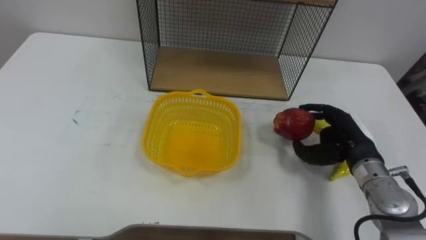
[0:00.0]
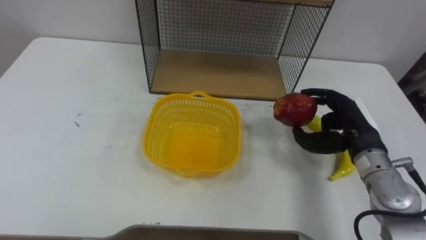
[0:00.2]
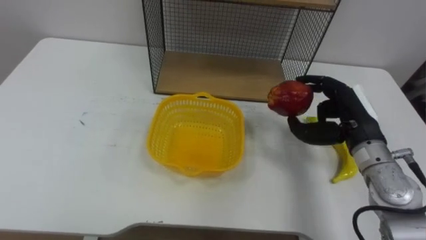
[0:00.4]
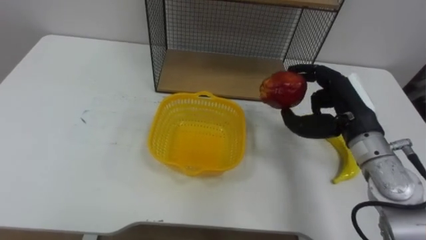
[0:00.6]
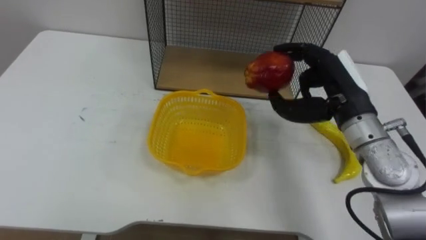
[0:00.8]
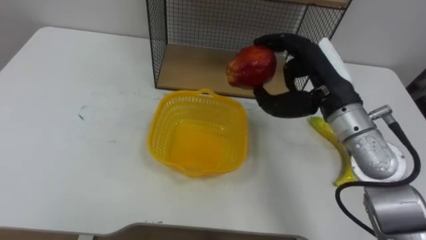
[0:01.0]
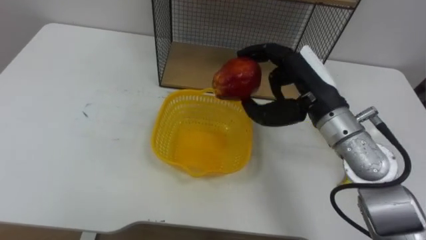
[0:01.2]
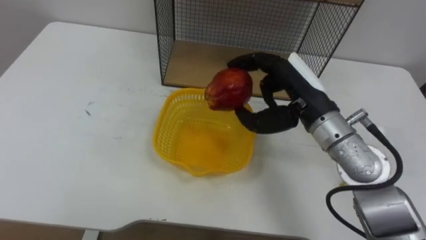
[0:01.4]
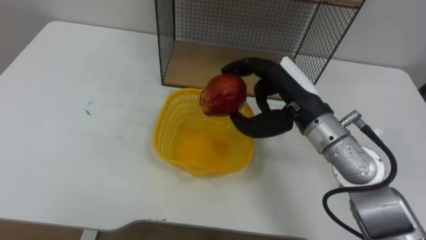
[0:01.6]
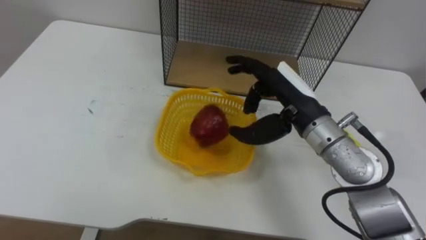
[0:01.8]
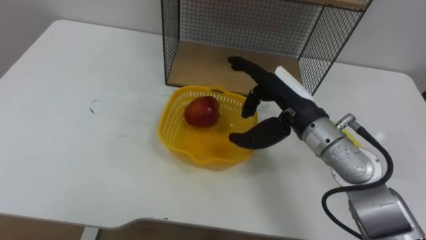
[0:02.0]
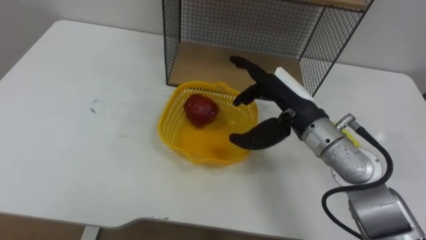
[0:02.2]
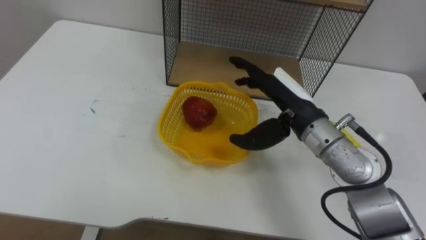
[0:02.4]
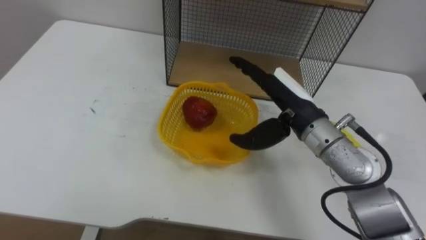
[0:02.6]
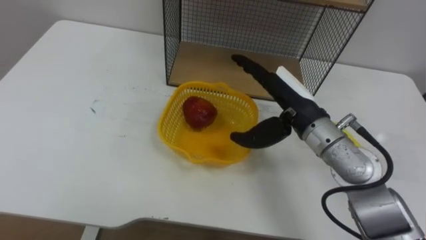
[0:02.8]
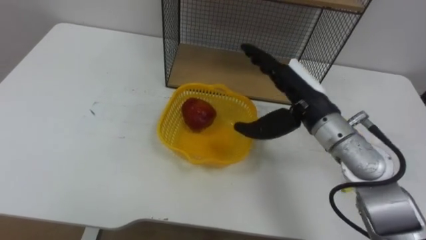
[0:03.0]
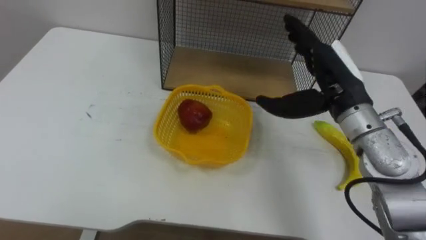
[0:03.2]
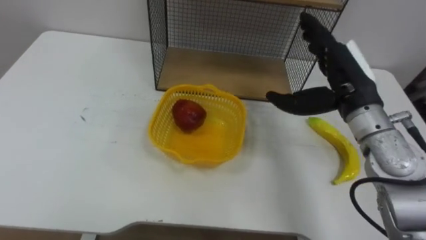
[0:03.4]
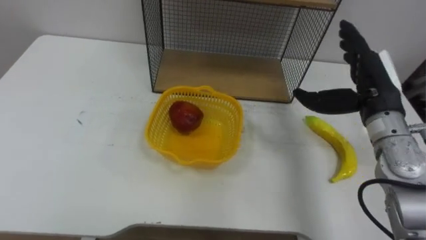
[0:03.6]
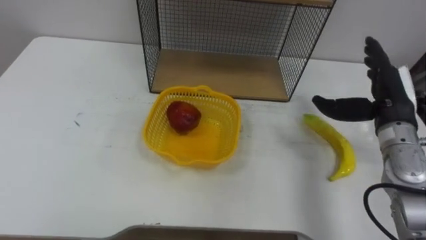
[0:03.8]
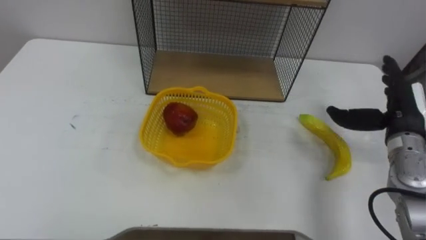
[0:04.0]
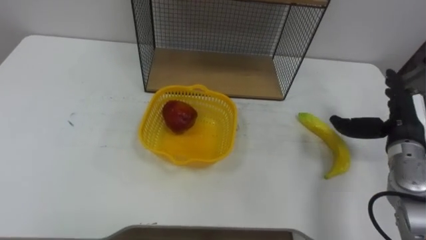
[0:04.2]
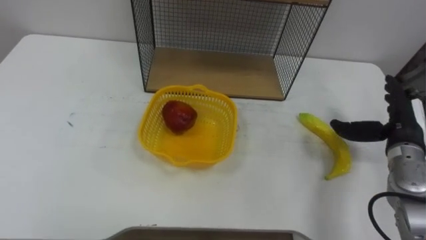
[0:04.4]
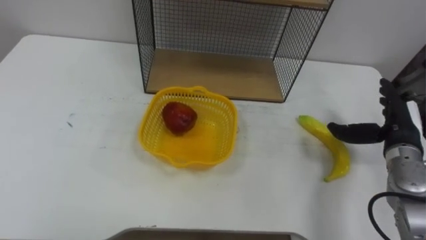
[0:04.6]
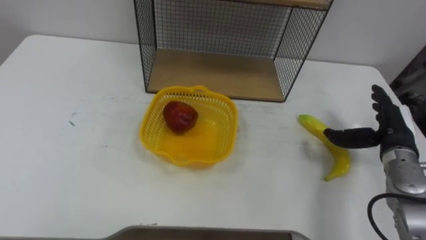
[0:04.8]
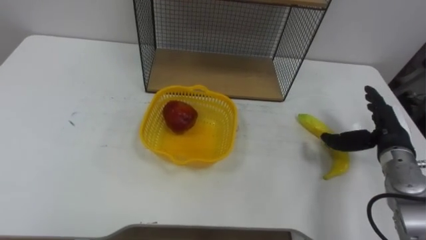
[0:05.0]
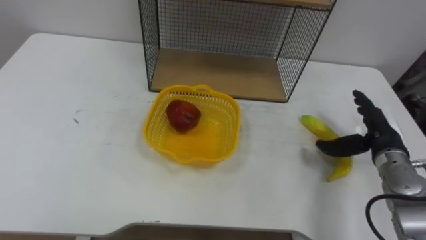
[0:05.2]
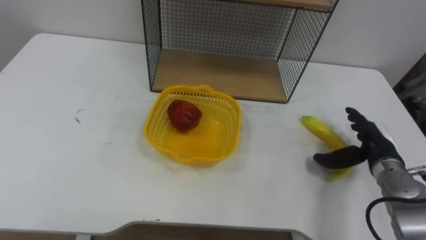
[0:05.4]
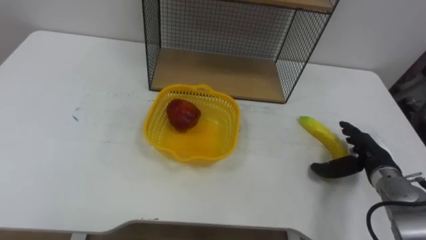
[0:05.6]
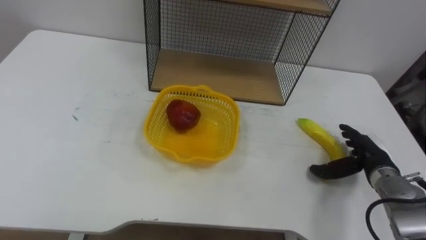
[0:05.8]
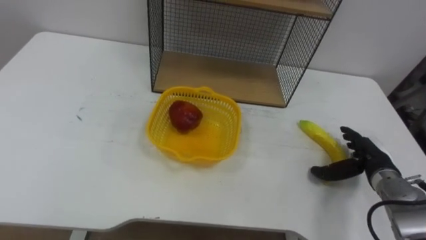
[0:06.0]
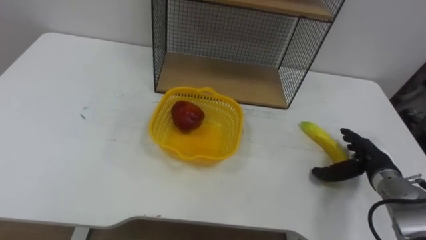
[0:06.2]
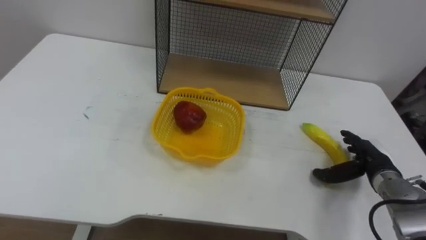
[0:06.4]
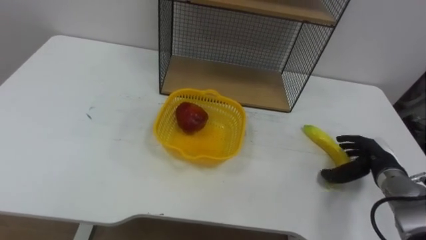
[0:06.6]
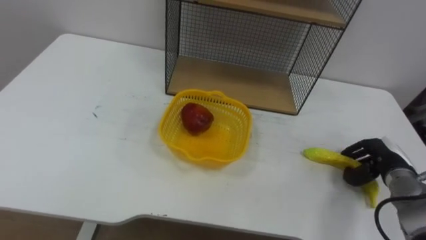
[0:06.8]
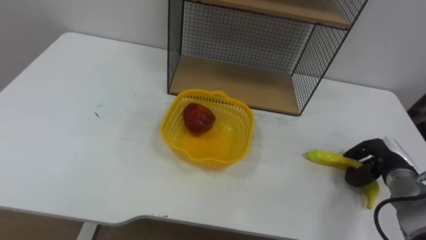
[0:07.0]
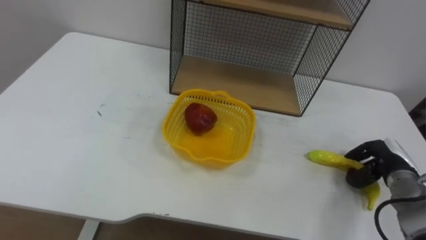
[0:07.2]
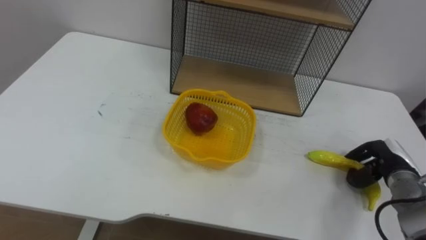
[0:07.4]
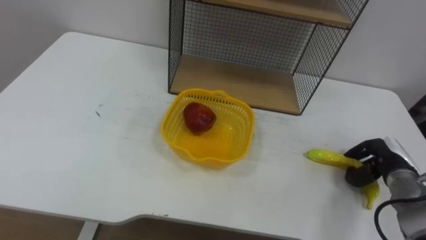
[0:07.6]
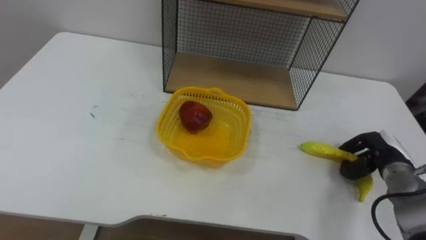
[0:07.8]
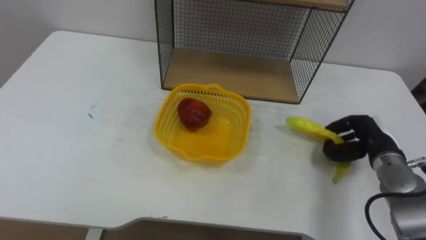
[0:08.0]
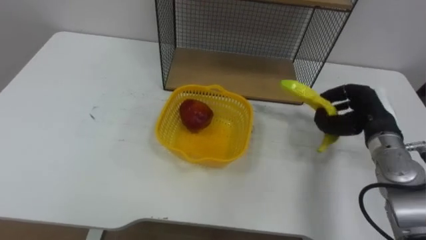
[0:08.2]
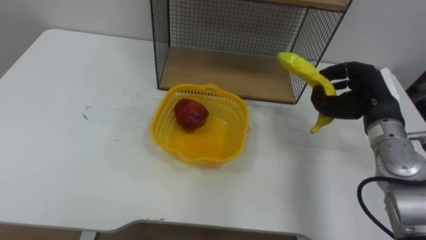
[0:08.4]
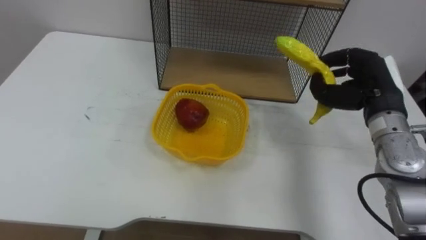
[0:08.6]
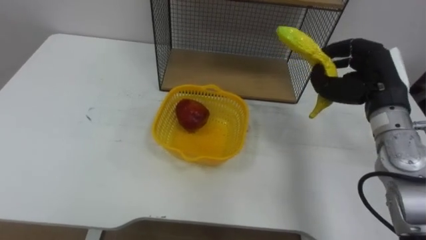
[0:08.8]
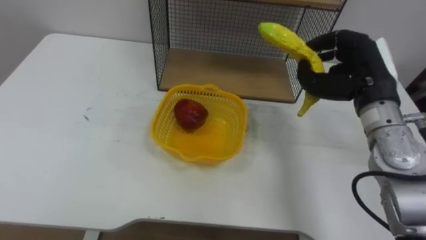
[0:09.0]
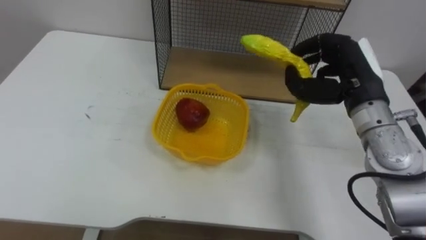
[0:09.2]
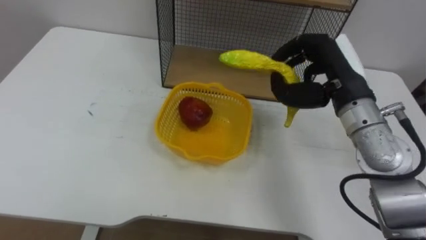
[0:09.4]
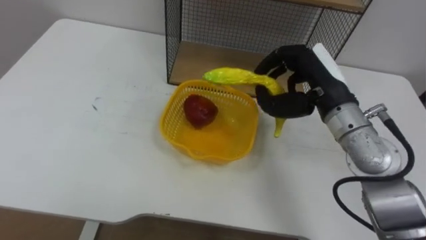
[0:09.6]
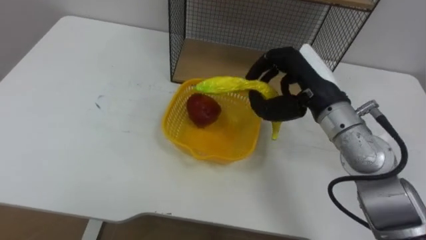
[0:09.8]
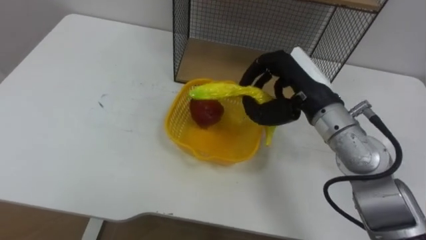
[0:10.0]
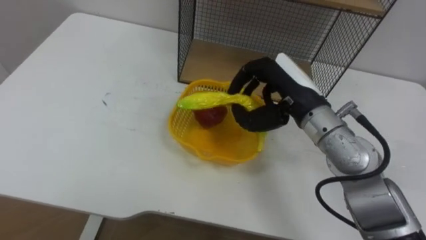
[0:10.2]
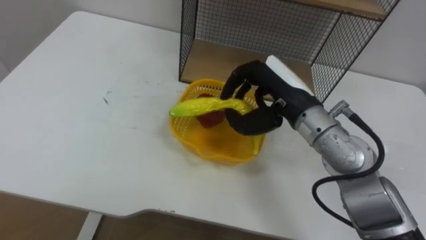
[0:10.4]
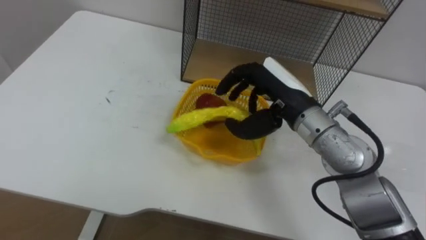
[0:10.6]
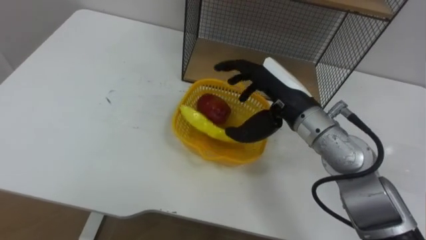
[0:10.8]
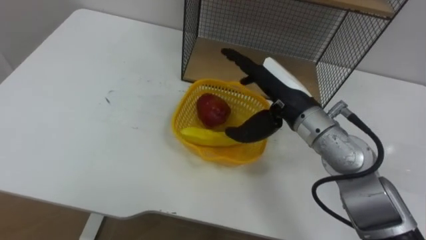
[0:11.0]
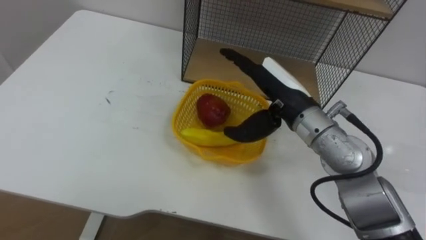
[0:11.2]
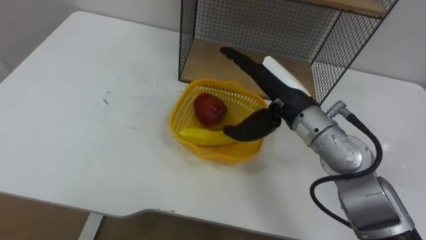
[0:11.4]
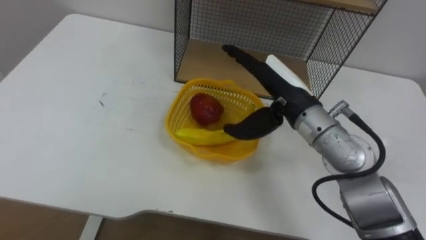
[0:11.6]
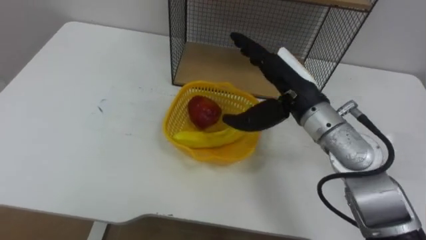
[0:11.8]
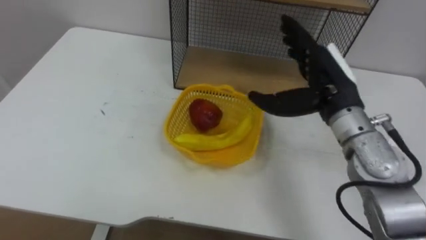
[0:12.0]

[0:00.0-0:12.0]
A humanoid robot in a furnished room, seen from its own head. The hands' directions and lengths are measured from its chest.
Task of the whole recording: Put the fruit on the table into the basket, then place the basket on the shelf.
0:00.0 to 0:01.6: The right hand moves to the left and upward, some 15 cm.
0:01.6 to 0:03.0: The right hand opens.
0:03.0 to 0:04.4: The right hand is displaced to the right and downward by about 20 cm.
0:04.4 to 0:06.0: The right hand travels downward by roughly 10 cm.
0:06.0 to 0:07.6: The right hand closes its fingers.
0:07.6 to 0:09.0: The right hand moves upward and to the left, some 20 cm.
0:09.0 to 0:10.4: The right hand is displaced to the left by roughly 15 cm.
0:10.4 to 0:12.0: The right hand heads to the right, covering roughly 5 cm, and opens its fingers.

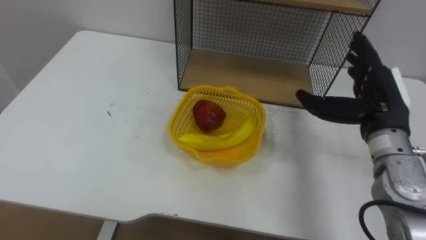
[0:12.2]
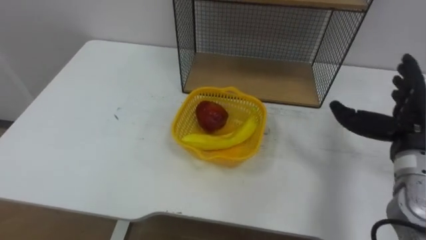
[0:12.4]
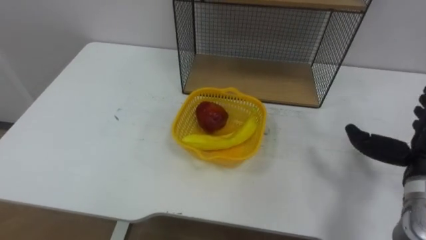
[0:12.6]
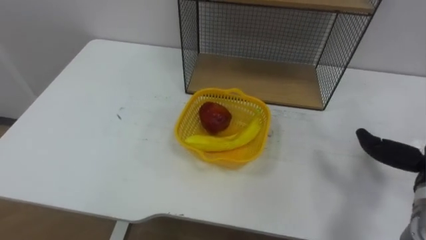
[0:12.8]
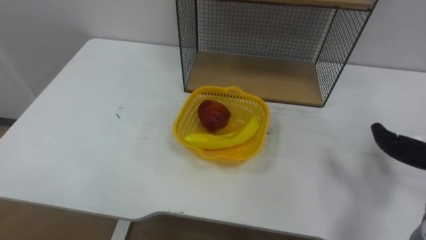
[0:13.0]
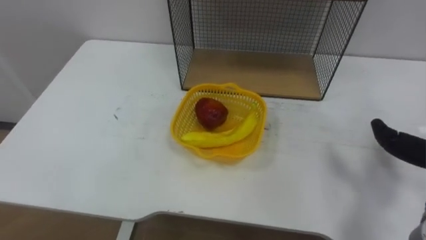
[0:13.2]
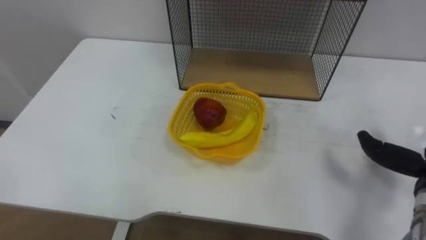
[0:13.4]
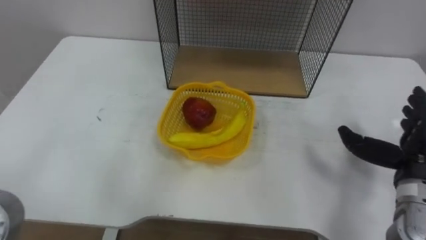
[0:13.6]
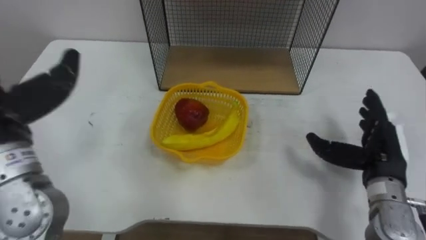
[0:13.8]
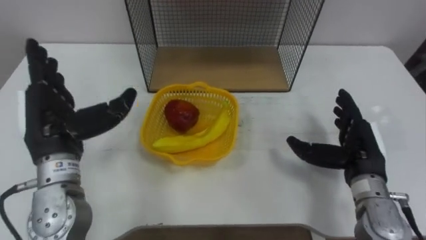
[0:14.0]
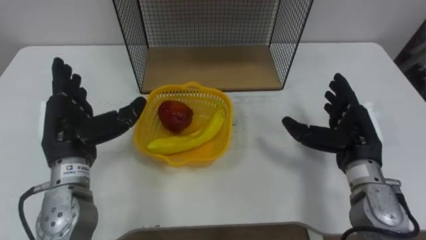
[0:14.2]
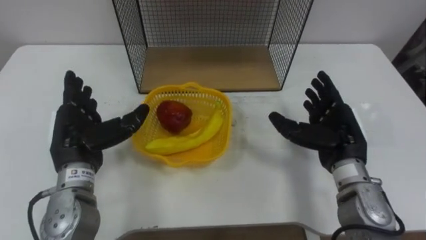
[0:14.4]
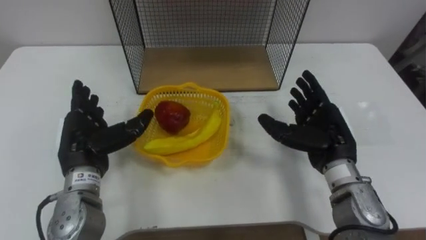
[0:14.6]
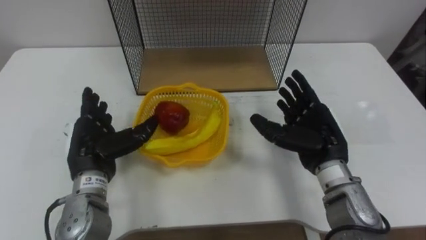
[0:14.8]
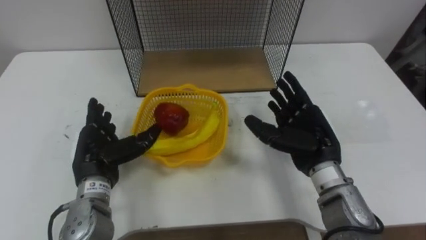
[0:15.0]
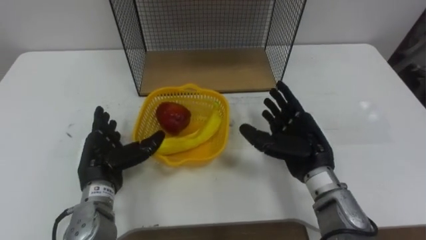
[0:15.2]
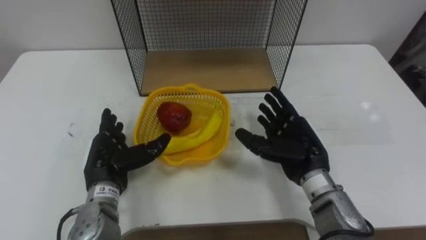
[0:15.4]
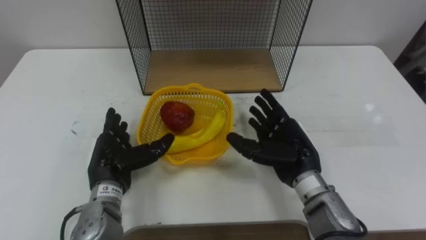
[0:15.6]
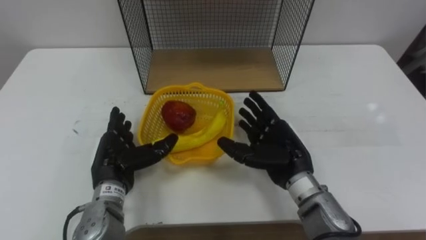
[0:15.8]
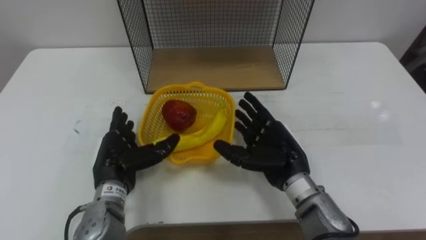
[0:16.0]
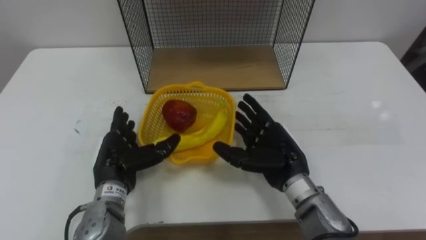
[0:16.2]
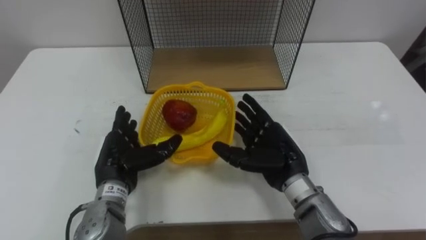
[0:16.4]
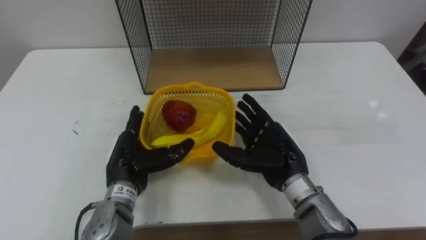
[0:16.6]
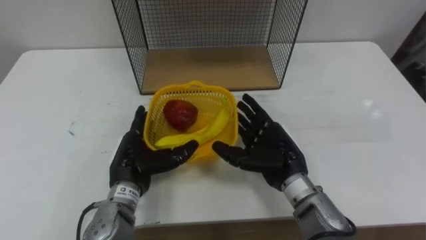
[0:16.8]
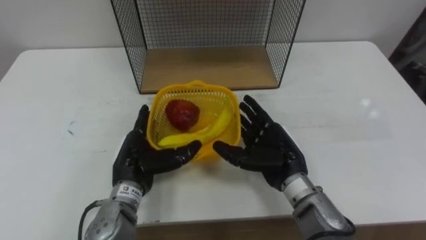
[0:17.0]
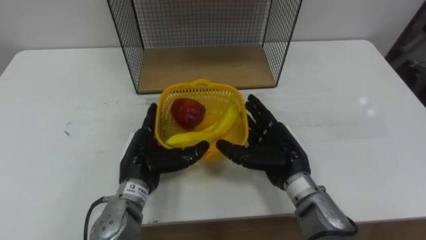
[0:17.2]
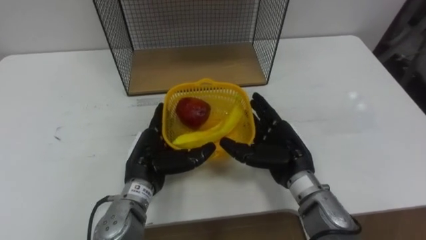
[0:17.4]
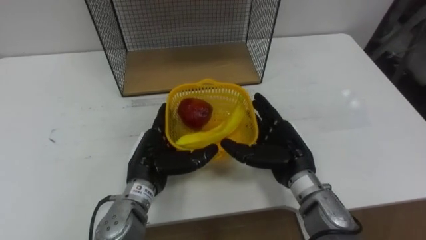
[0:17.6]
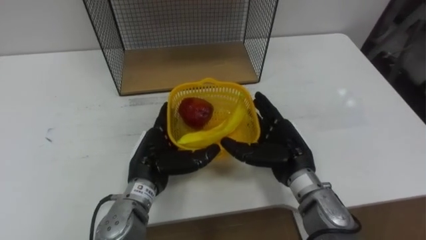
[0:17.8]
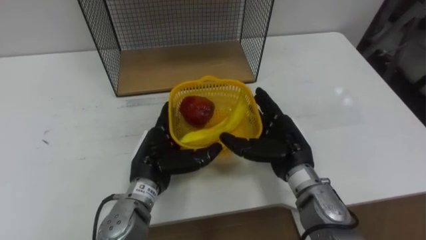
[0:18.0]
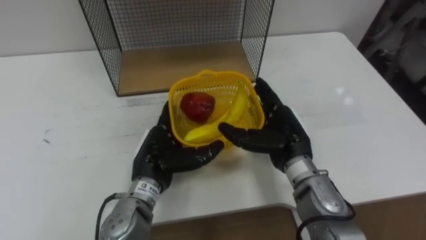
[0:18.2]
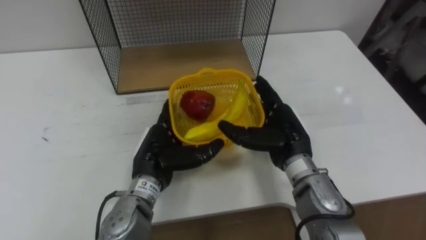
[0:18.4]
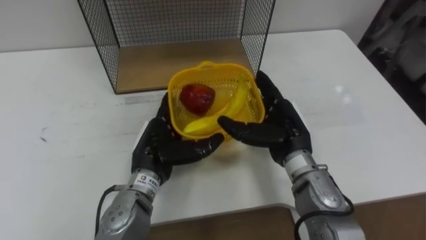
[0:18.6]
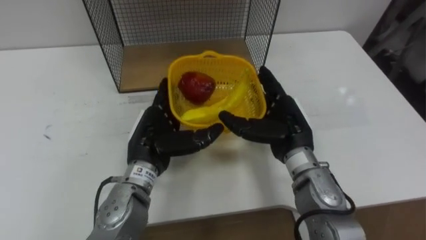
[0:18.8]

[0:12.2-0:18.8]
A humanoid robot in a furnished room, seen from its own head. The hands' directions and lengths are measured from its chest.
Task of the whole recording: Put the fruit on the table into the basket, then place the basket on the shelf.
0:13.8 to 0:15.4: The right hand moves to the left, approximately 15 cm.
0:15.4 to 0:17.2: The left hand goes approximately 5 cm to the right.
0:17.2 to 0:18.8: The left hand ends up roughly 5 cm from where it was.
